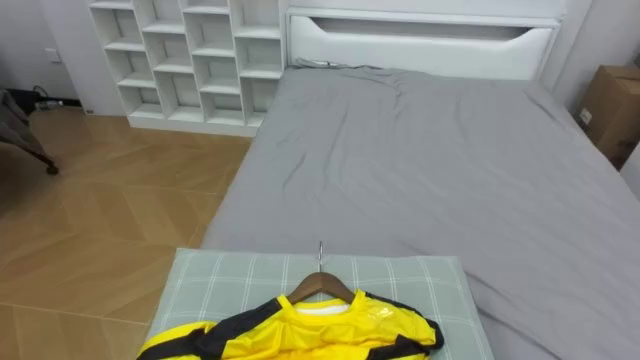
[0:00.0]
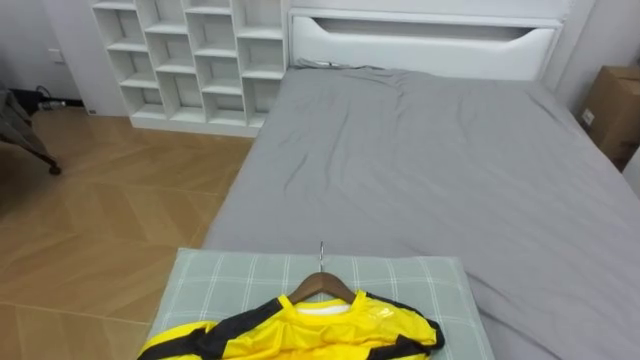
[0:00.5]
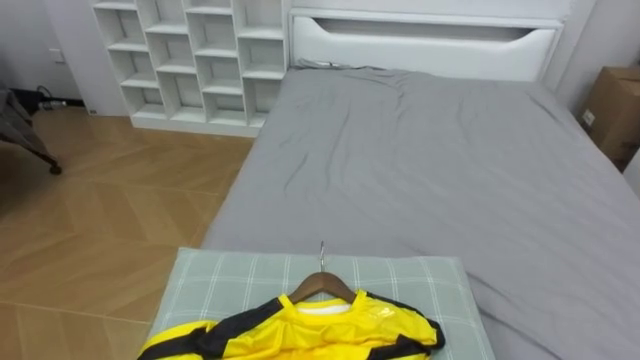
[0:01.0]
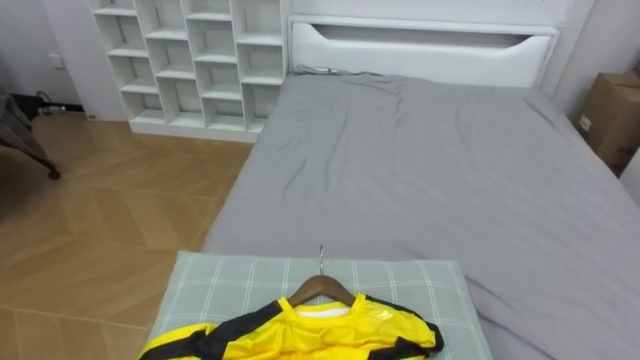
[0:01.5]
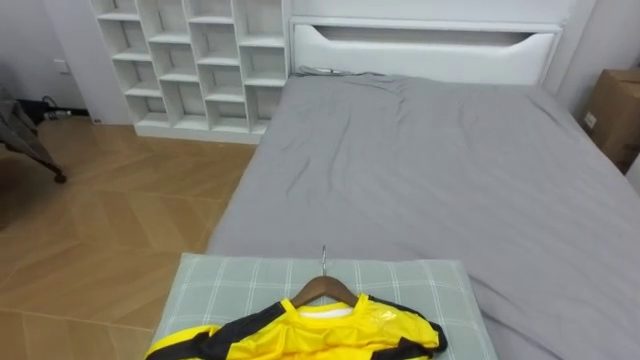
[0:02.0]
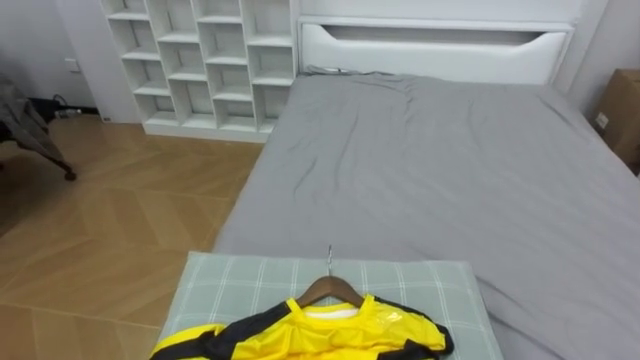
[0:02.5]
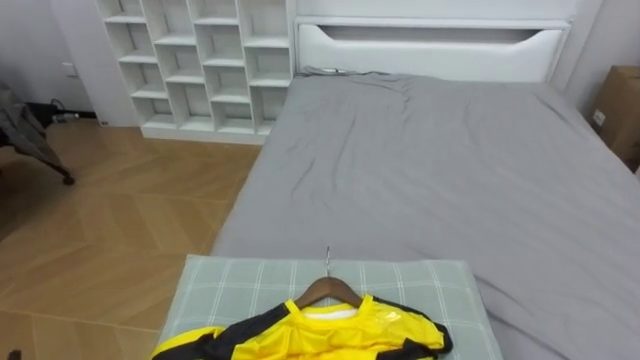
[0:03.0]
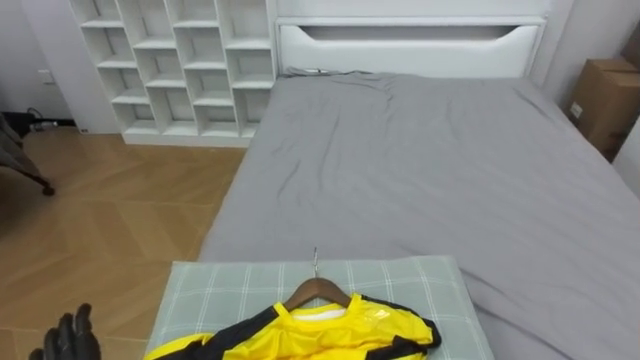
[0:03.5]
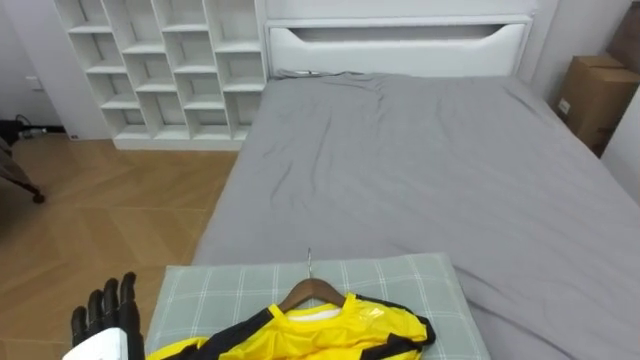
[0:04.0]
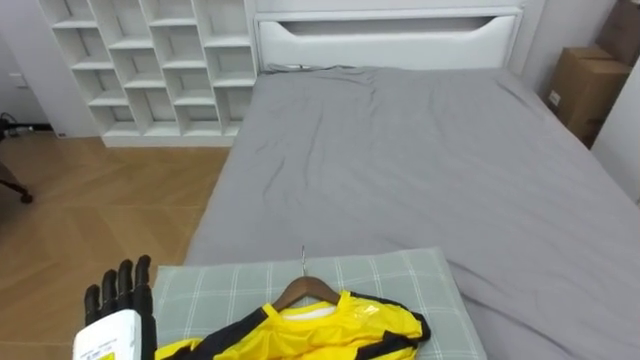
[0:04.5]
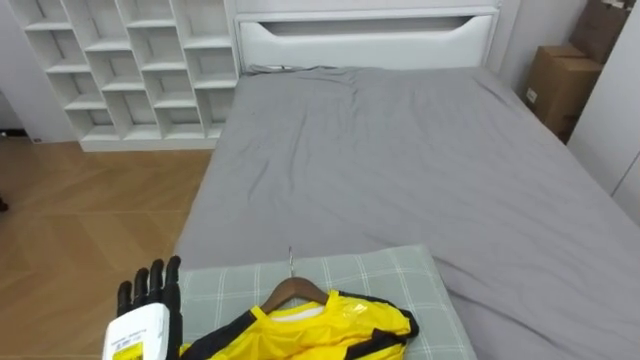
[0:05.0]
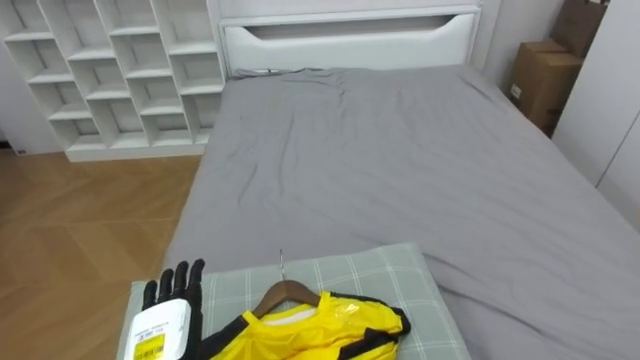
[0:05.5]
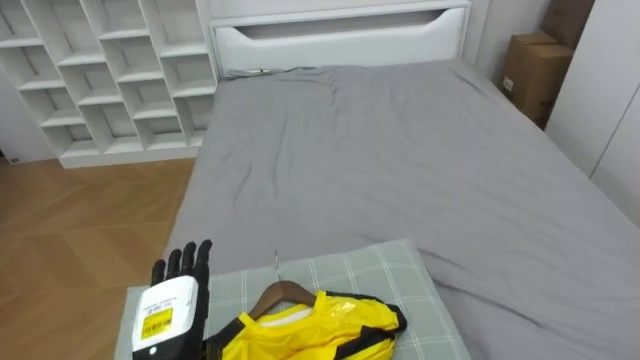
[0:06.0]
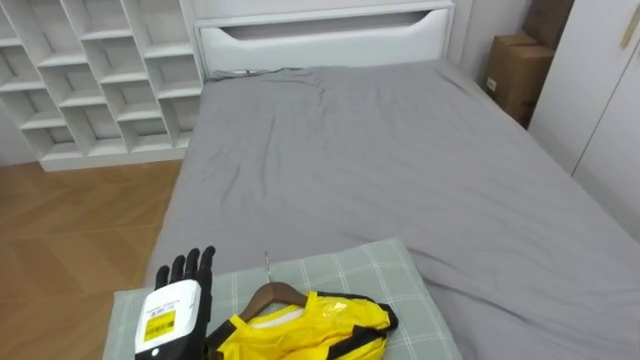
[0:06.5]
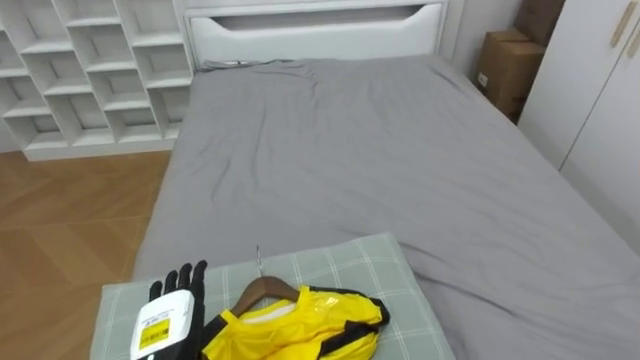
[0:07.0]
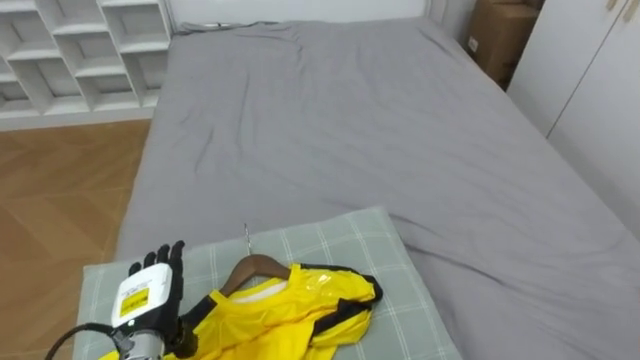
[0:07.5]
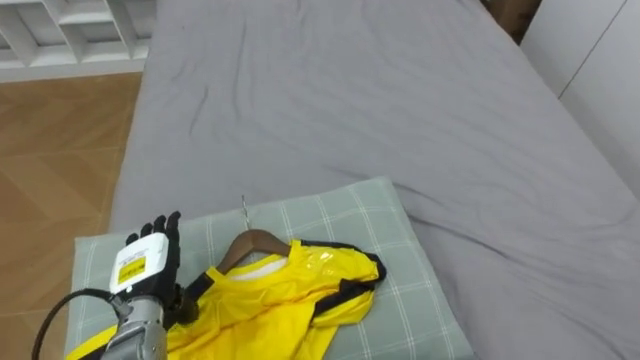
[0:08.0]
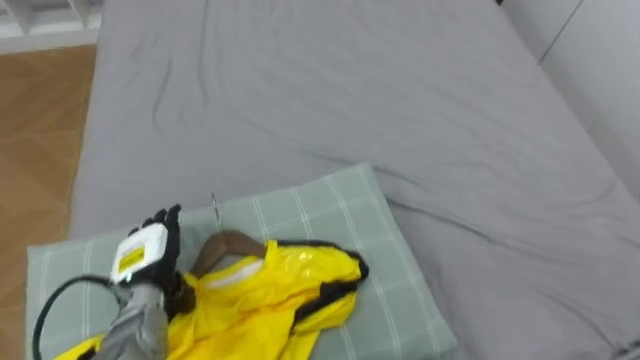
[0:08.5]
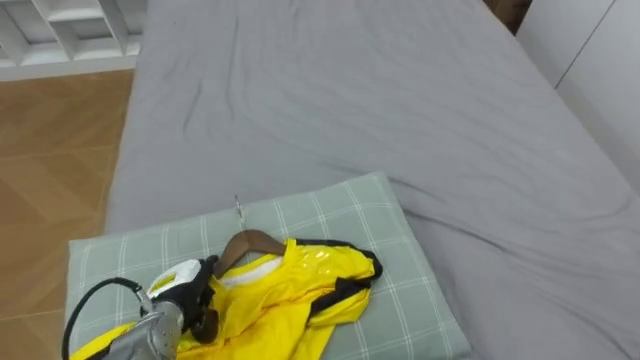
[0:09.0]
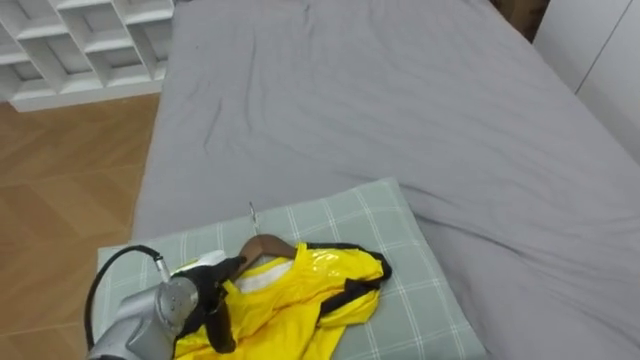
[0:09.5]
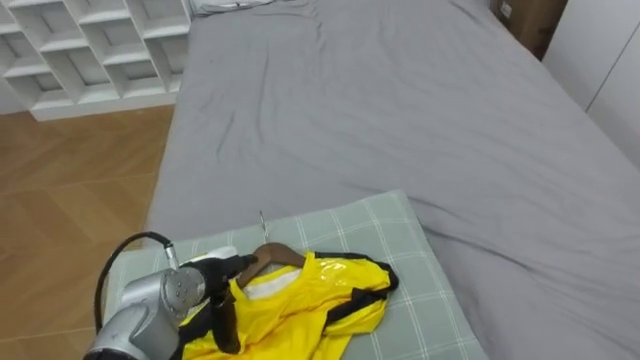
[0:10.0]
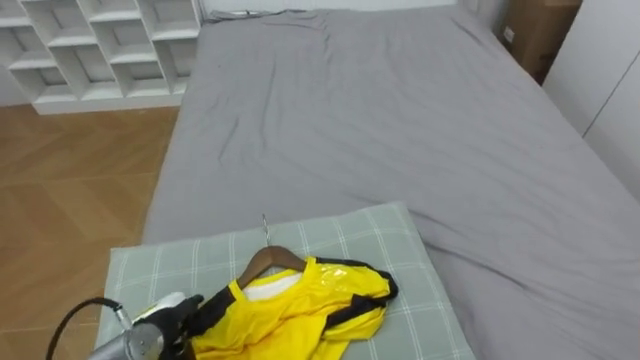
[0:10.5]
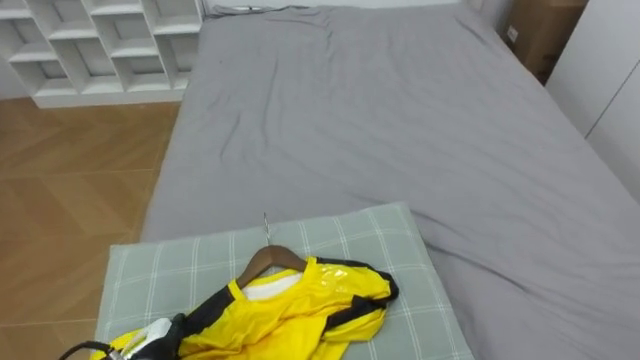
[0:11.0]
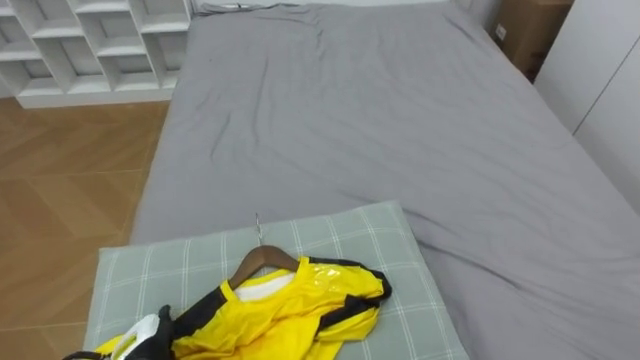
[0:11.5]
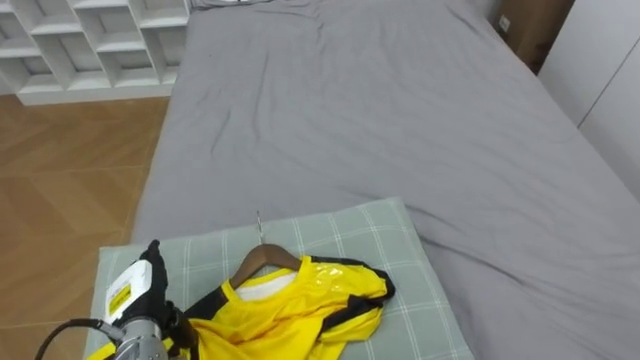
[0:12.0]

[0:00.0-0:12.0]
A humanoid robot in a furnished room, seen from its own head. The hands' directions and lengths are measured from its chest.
Task of the whole recording: Pick up the yellow shirt on the bed and hang it on the clothes rack on the right.
0:06.0 to 0:08.0: The left hand heads forward, covering roughly 5 cm.
0:08.0 to 0:10.0: The left hand shifts roughly 10 cm to the right.
0:10.0 to 0:12.0: The left hand travels to the left by about 10 cm.

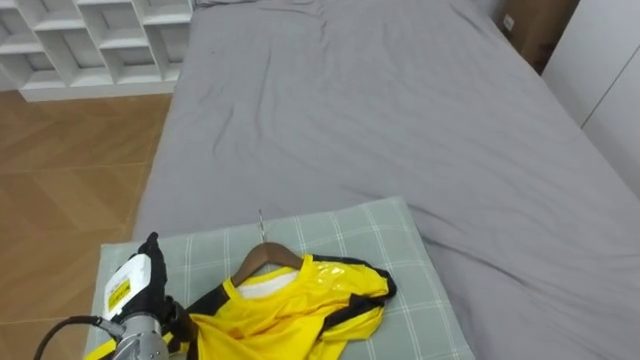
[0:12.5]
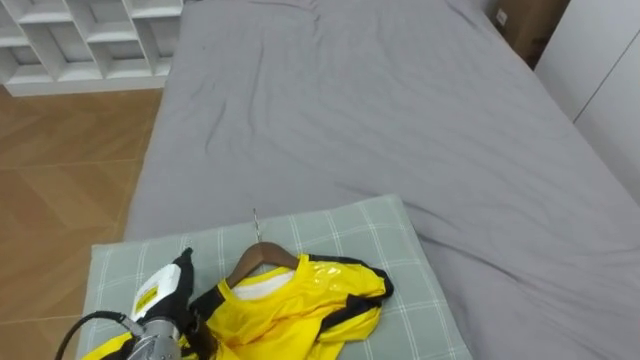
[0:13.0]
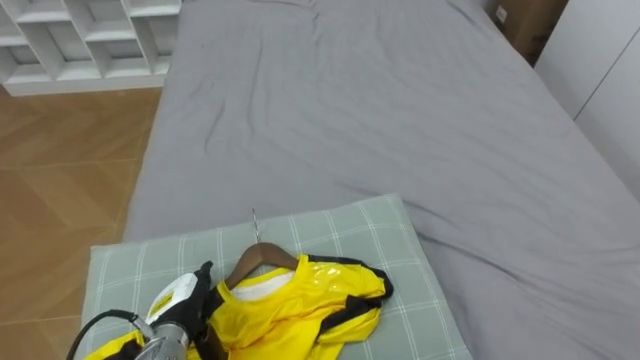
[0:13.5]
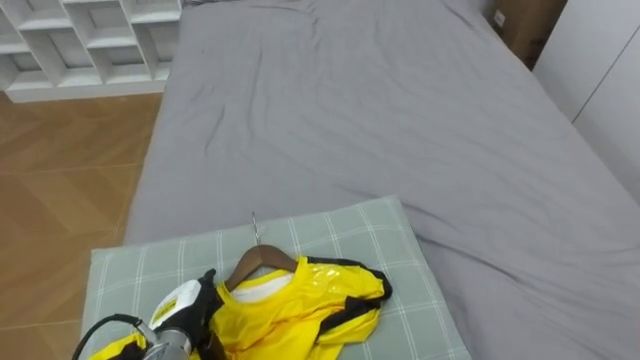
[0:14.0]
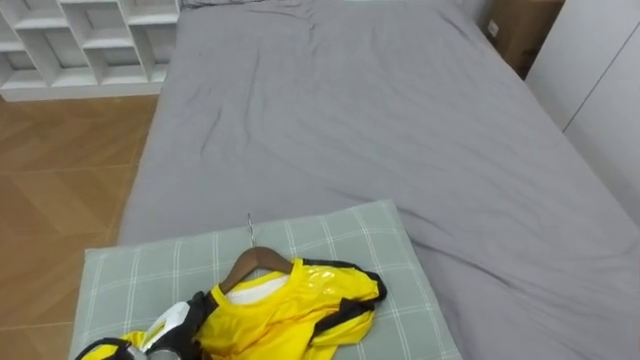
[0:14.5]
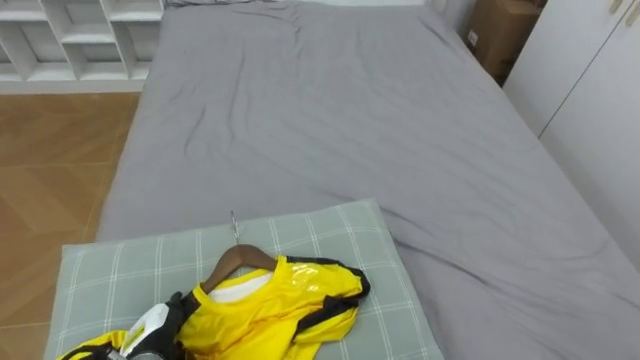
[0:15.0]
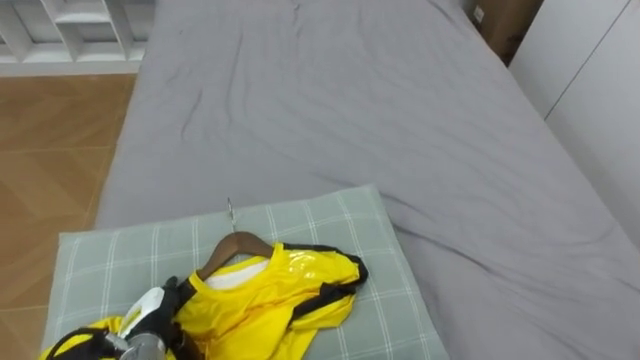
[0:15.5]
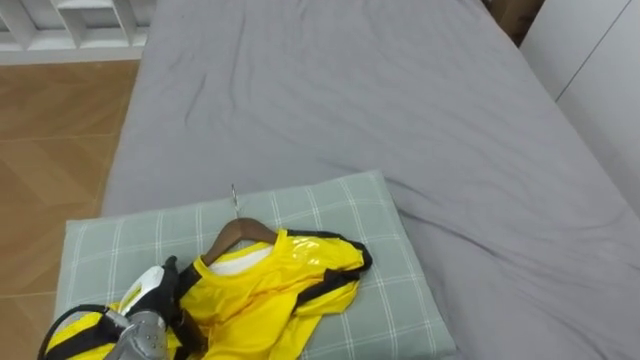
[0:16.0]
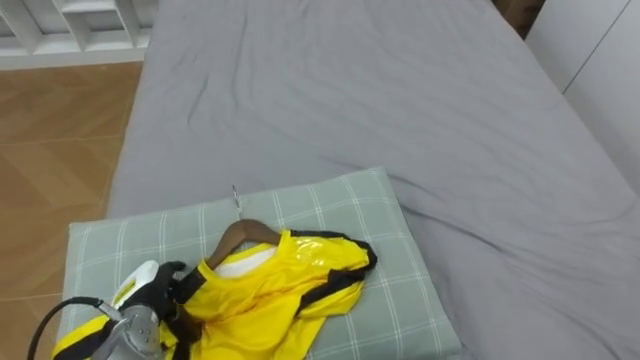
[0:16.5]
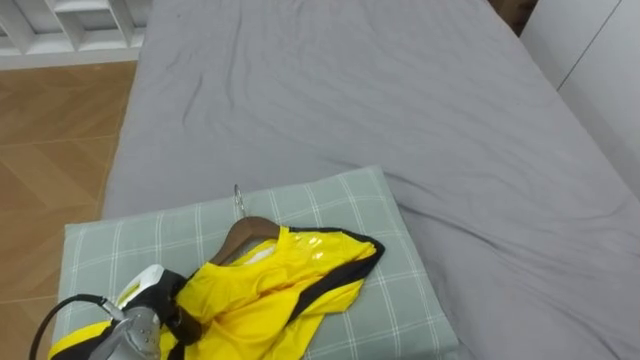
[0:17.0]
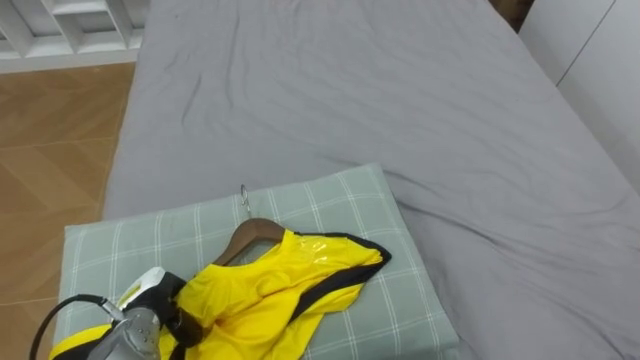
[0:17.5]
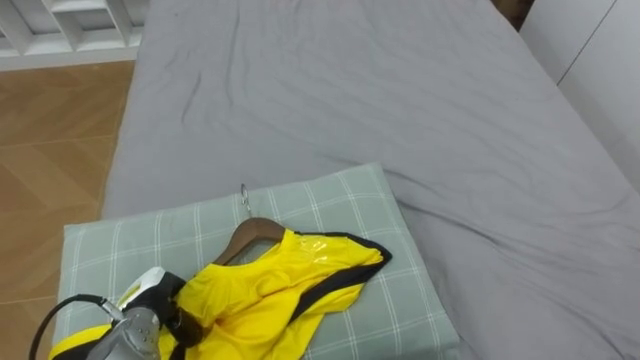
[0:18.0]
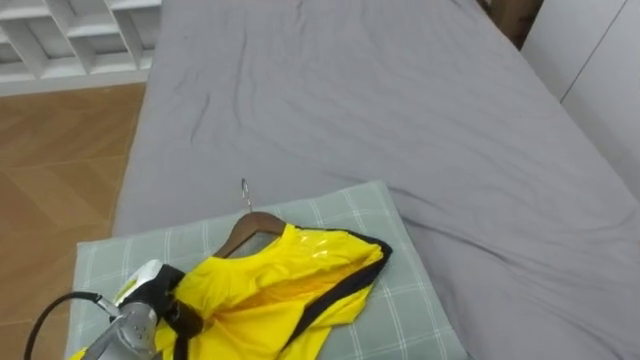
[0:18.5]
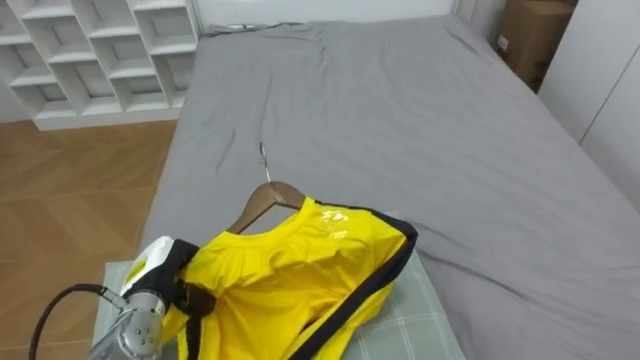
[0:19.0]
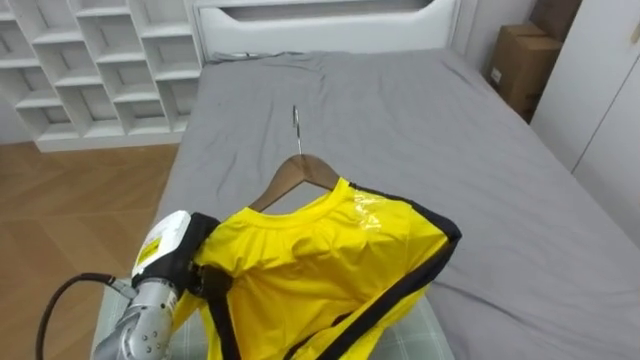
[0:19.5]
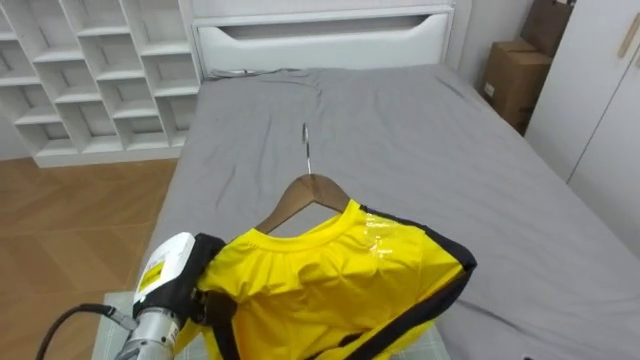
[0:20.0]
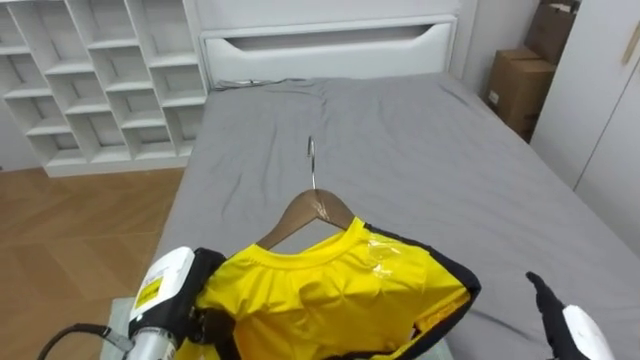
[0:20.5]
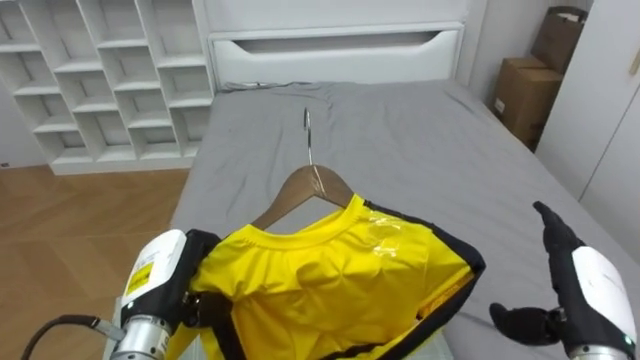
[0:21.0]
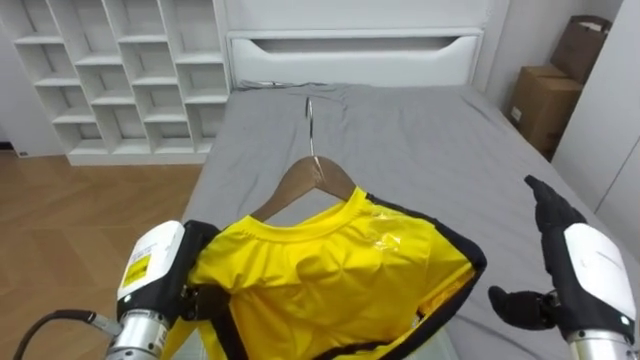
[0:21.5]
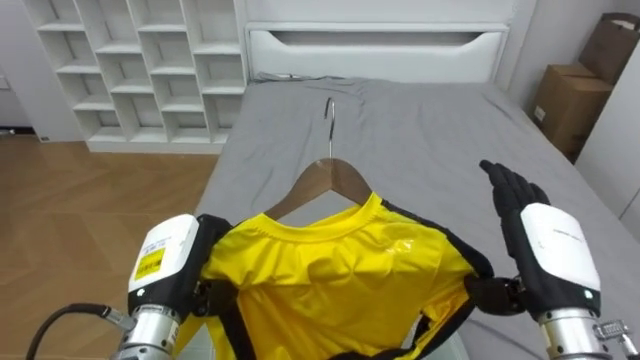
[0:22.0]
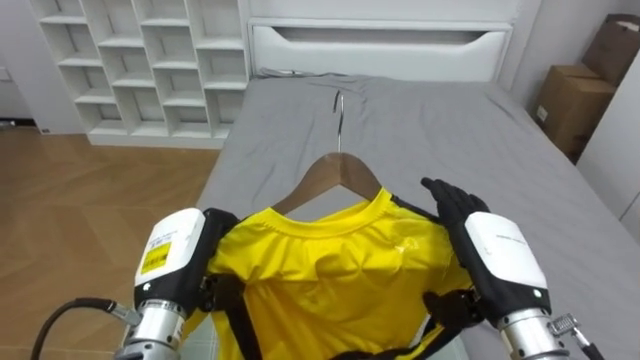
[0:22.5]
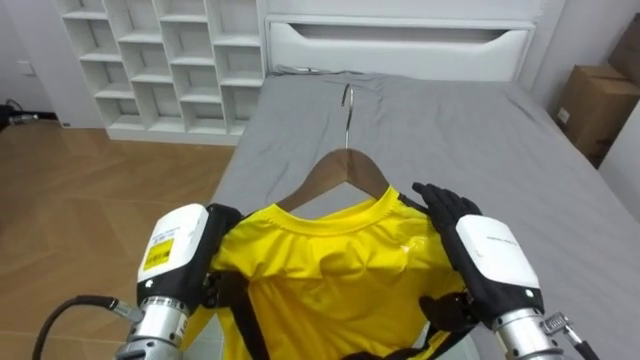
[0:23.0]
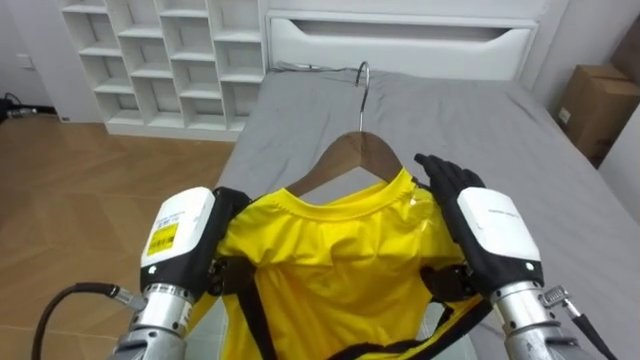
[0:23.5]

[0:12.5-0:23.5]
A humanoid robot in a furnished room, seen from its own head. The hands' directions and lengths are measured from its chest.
Task of the whole recording: Pick up the yellow shirt on the bed and hang it on the clothes rack on the right.
0:12.5 to 0:14.5: The left hand goes roughly 5 cm downward.
0:14.5 to 0:16.0: The left hand ends up roughly 5 cm from where it was.
0:16.0 to 0:18.0: The left hand closes.
0:18.0 to 0:20.0: The left hand goes some 10 cm upward and to the right.
0:21.5 to 0:23.5: The left hand shifts by roughly 5 cm. Meanwhile the right hand travels to the left by approximately 10 cm.
